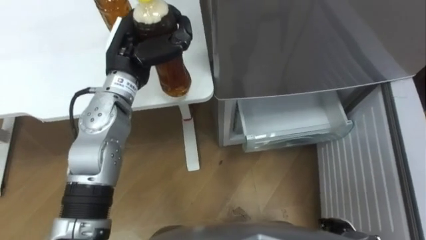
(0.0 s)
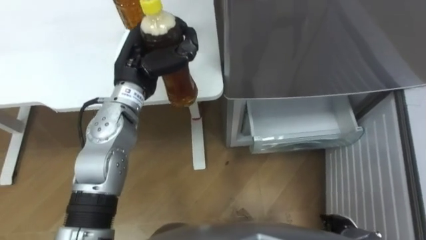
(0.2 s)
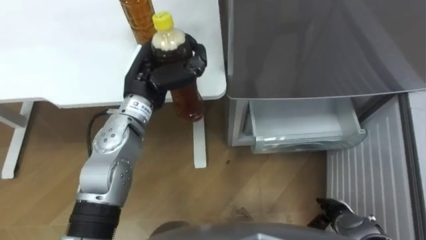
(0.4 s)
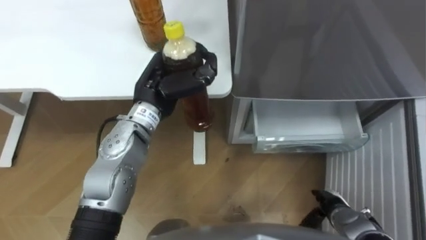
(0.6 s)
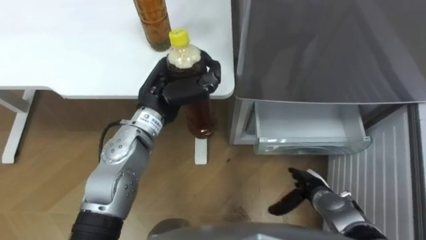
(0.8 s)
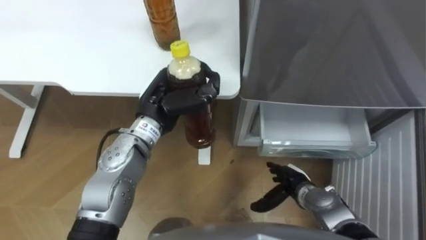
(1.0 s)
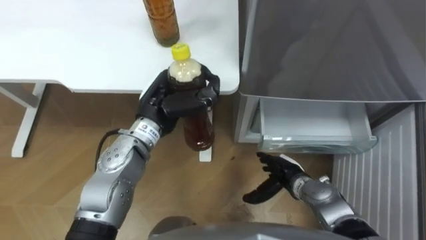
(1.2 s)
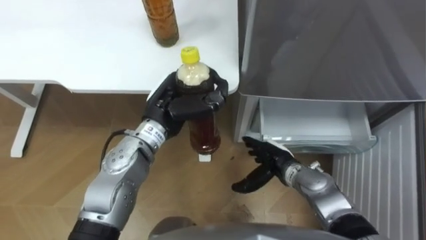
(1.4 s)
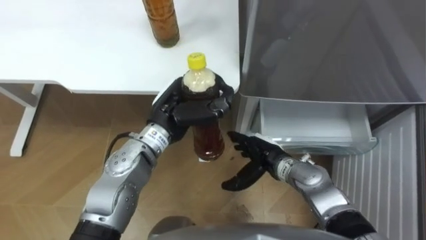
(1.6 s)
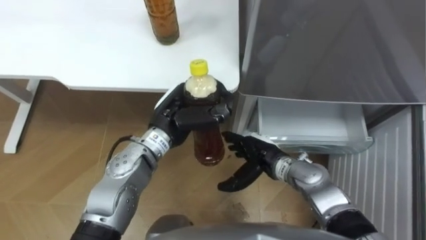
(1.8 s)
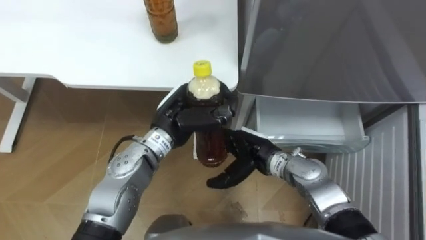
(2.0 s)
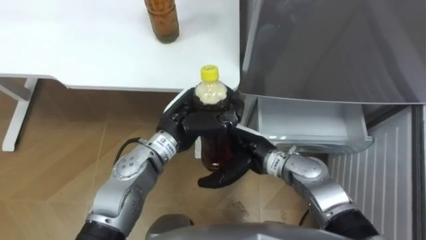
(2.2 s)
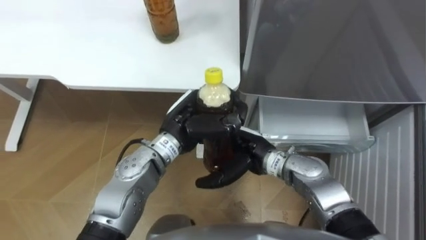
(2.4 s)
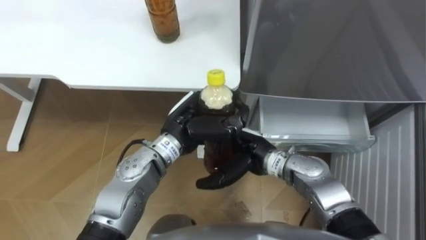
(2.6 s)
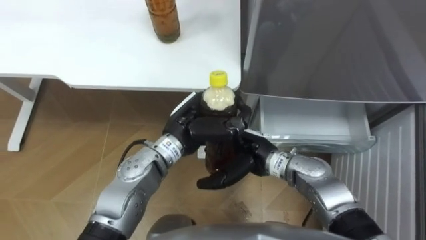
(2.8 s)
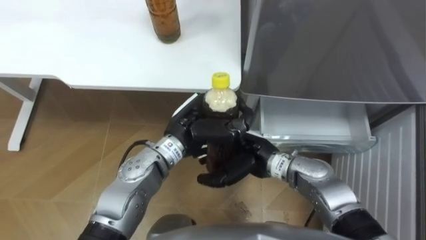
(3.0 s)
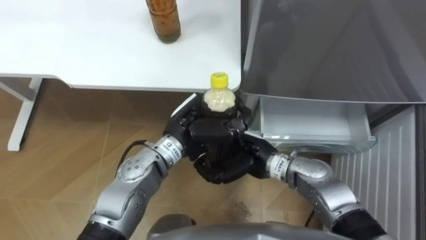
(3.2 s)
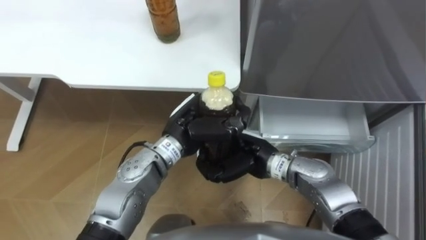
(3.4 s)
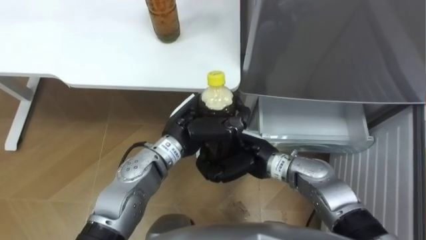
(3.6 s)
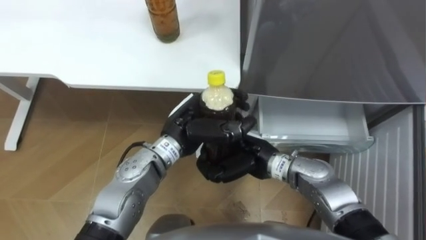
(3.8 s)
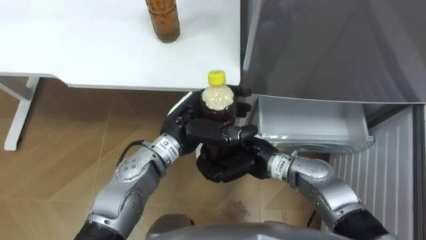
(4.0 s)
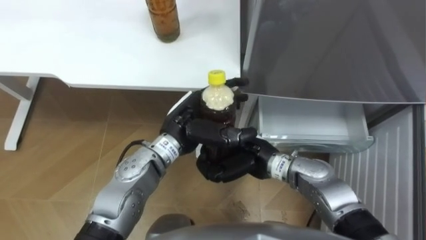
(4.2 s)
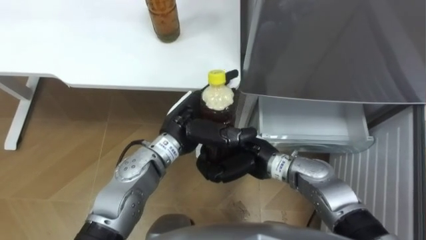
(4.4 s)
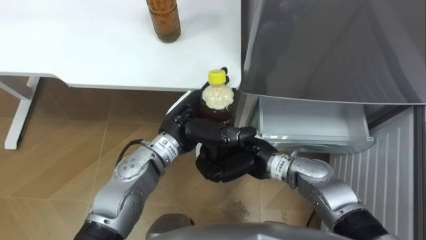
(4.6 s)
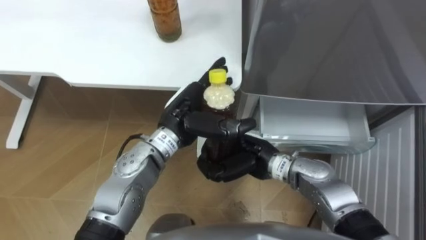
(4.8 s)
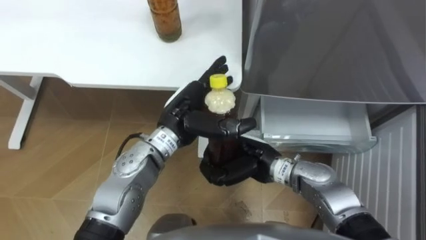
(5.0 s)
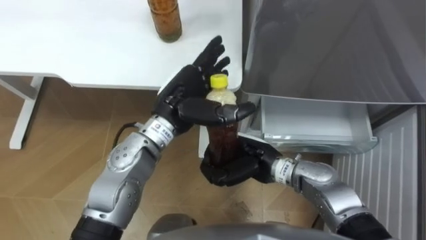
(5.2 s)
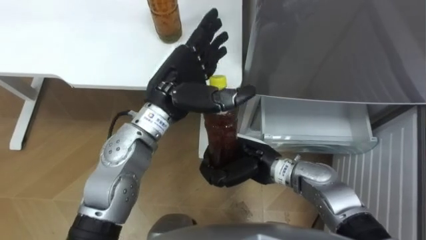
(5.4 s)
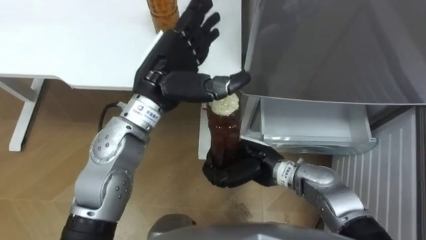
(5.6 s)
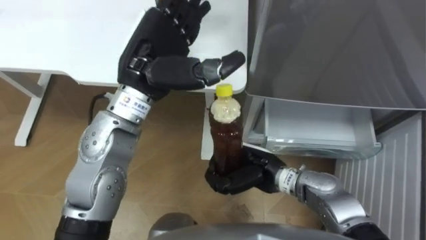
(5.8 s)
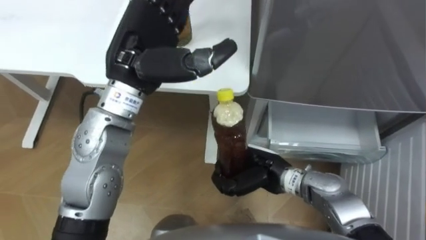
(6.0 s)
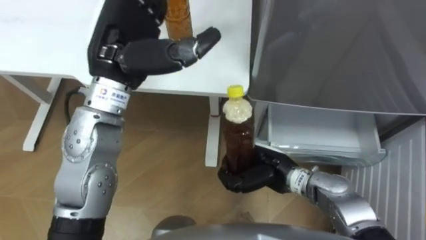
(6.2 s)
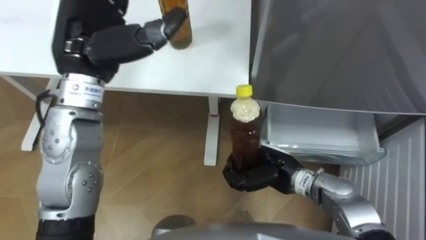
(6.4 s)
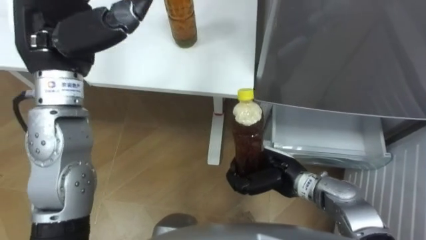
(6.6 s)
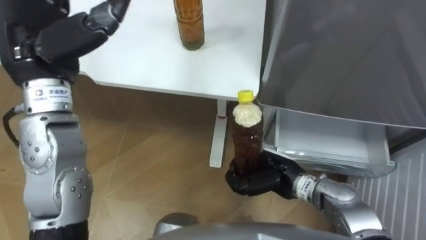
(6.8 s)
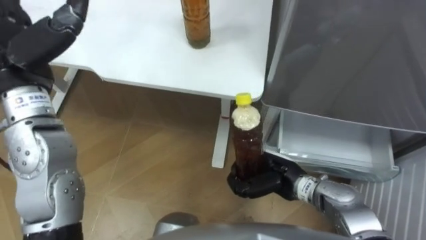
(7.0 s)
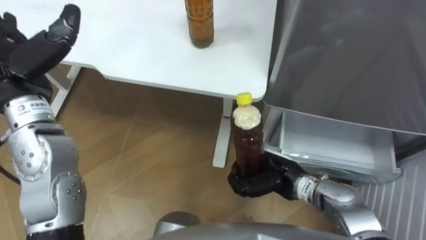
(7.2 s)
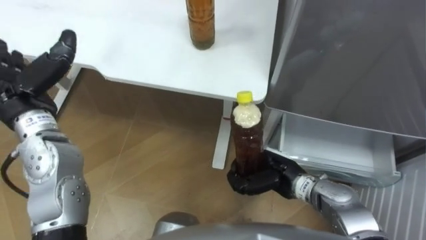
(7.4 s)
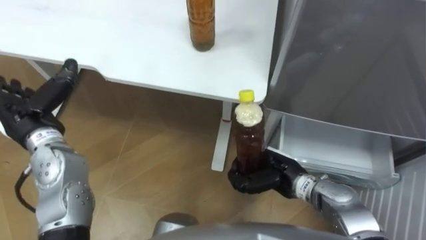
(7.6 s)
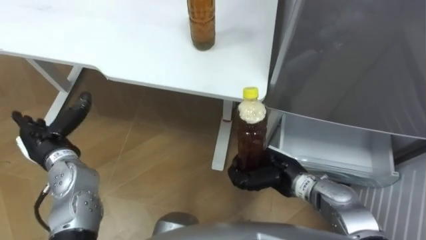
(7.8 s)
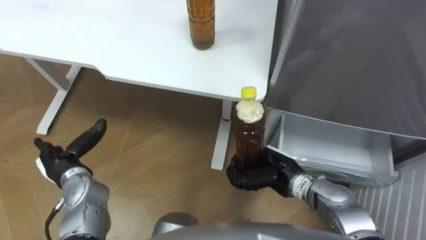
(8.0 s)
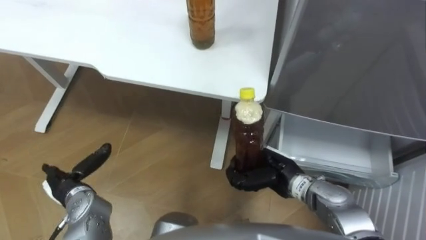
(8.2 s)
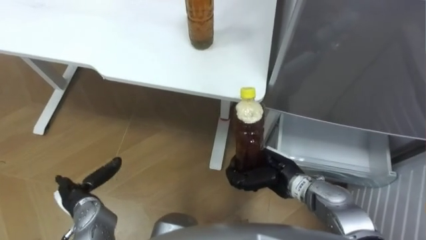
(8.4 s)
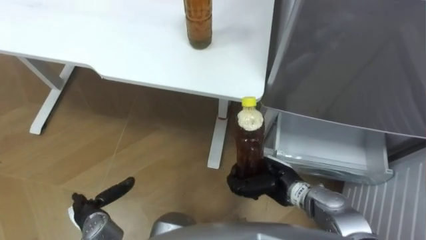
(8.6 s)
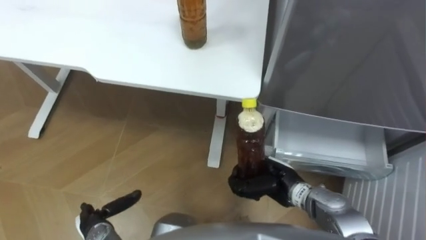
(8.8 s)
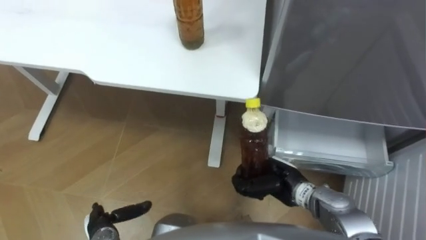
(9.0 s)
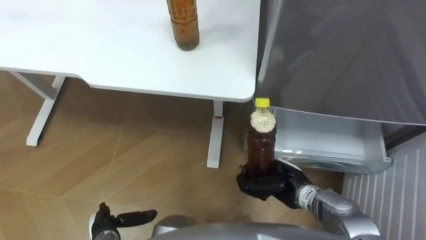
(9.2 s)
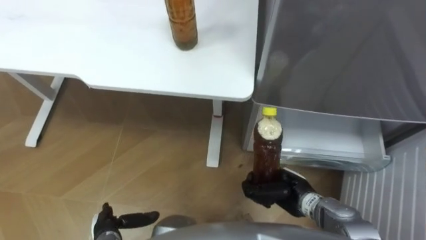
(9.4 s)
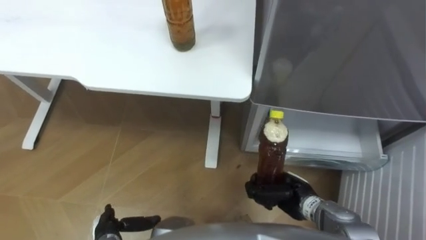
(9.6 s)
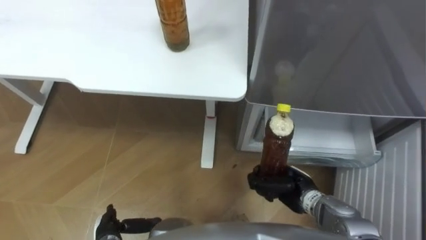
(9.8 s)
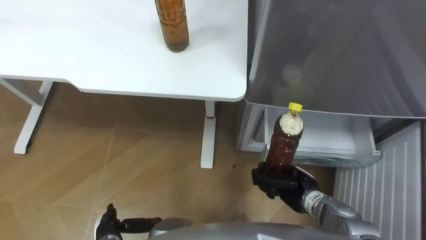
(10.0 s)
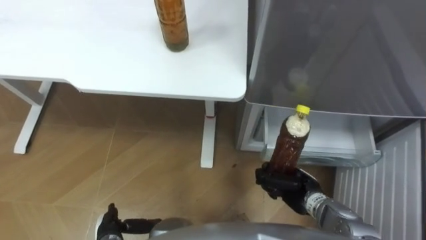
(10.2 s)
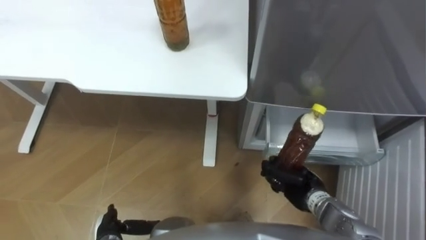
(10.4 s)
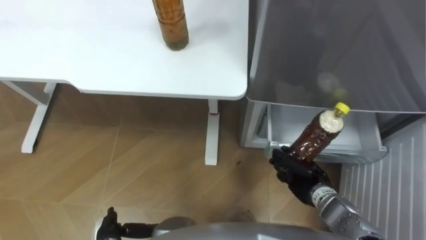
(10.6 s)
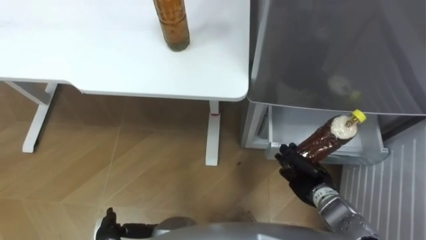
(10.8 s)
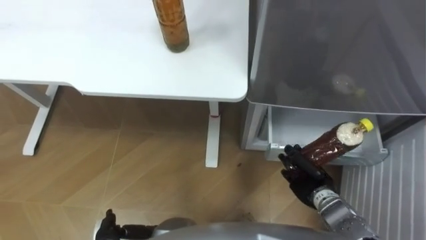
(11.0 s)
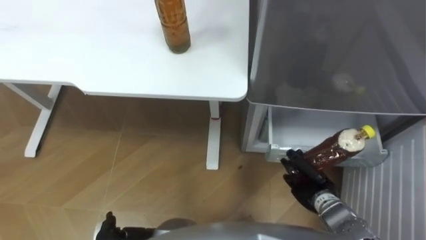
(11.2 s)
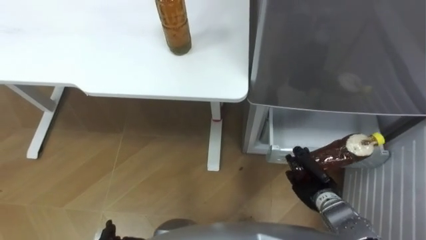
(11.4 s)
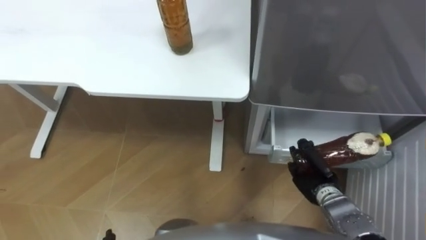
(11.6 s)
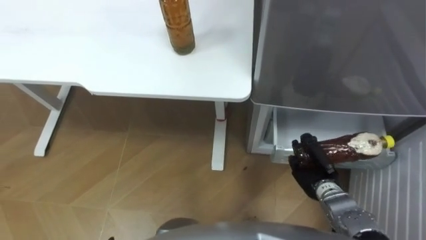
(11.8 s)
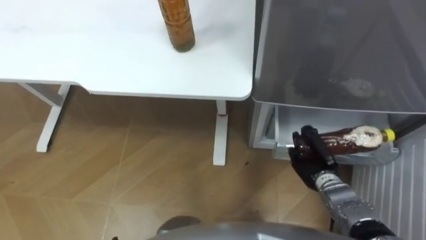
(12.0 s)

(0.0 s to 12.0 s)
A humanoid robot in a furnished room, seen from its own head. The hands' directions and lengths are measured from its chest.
Task of the whole recording: Place the drink on the table on the bottom shelf of the refrigerator, then close the drawer and the refrigerator door.
0.0 s - 1.6 s: The right hand shifts roughly 25 cm forward, to the left and upward; the left hand goes about 10 cm downward, to the right and backward.
1.6 s - 3.0 s: The right hand shifts approximately 10 cm upward and to the left.
3.0 s - 4.4 s: The left hand opens up; the right hand closes its fingers.
4.4 s - 6.0 s: The left hand moves upward, about 15 cm.
7.6 s - 9.0 s: The left hand moves downward and backward, approximately 30 cm.
9.0 s - 10.4 s: The right hand heads to the right, covering some 5 cm.
10.4 s - 12.0 s: The right hand ends up approximately 5 cm from where it was.

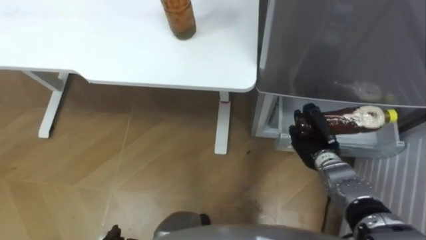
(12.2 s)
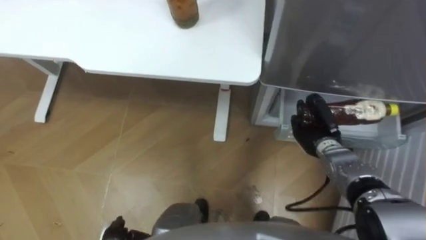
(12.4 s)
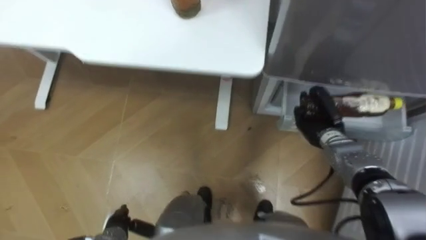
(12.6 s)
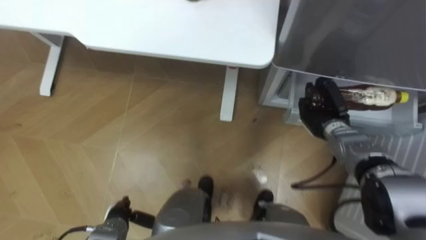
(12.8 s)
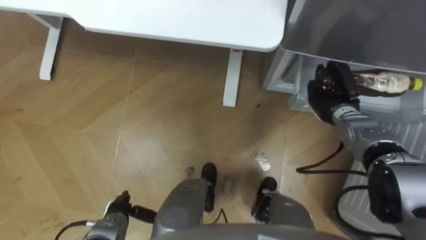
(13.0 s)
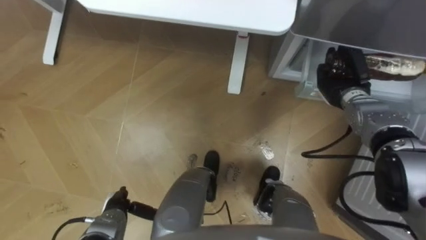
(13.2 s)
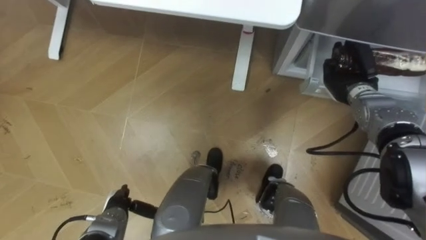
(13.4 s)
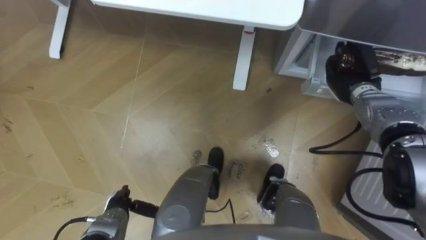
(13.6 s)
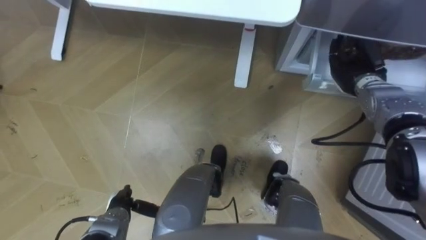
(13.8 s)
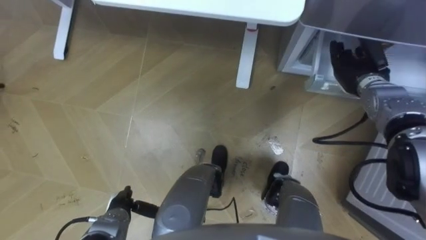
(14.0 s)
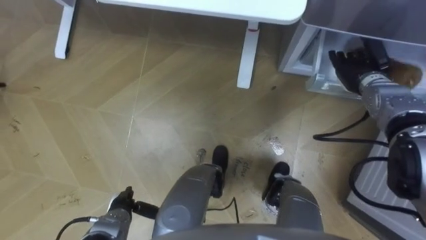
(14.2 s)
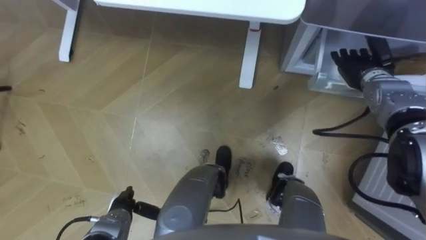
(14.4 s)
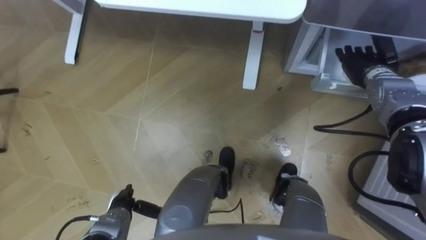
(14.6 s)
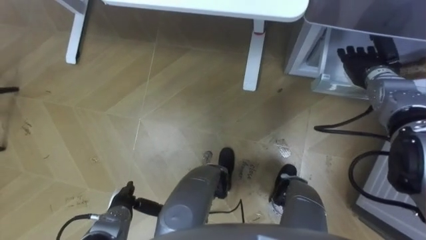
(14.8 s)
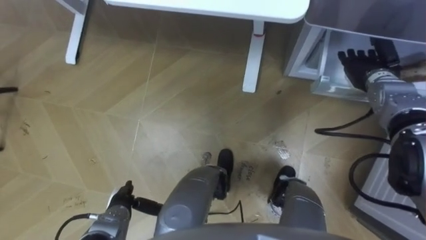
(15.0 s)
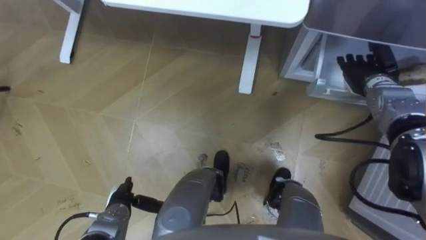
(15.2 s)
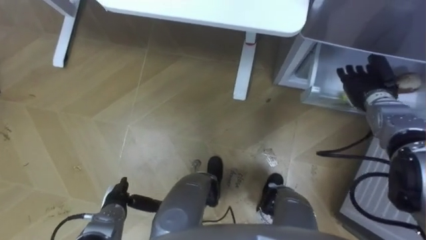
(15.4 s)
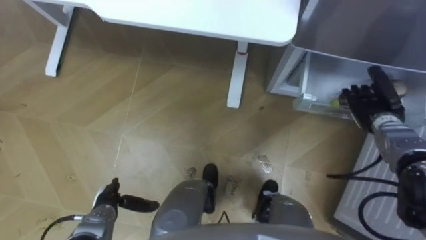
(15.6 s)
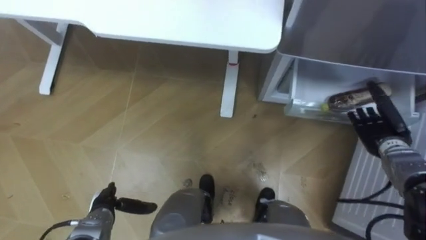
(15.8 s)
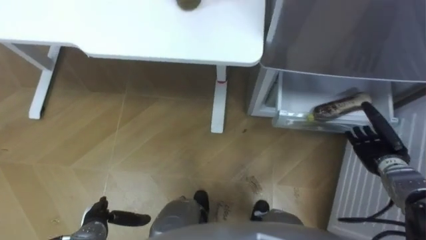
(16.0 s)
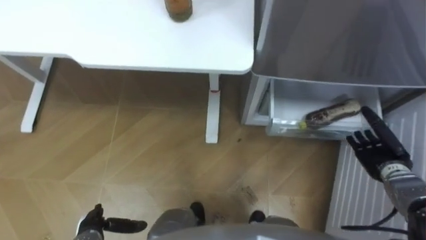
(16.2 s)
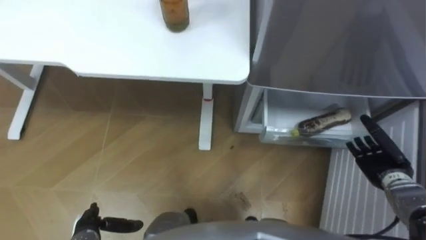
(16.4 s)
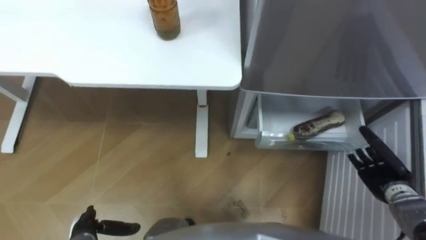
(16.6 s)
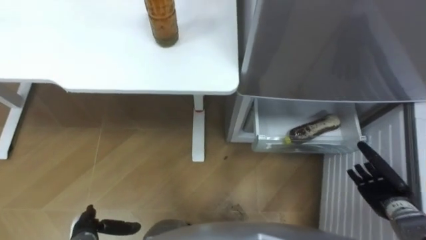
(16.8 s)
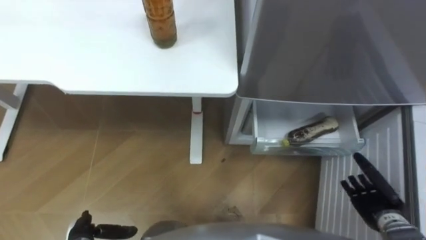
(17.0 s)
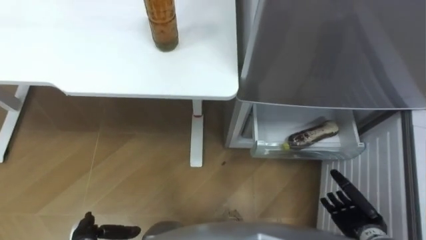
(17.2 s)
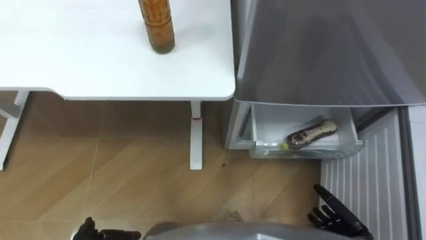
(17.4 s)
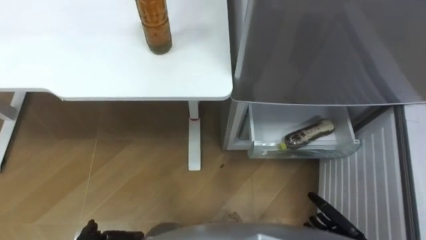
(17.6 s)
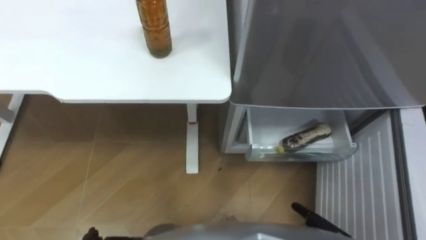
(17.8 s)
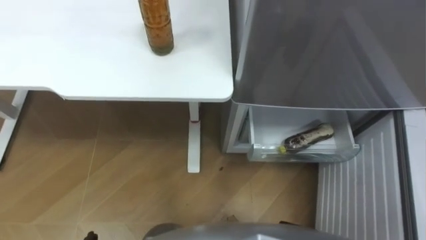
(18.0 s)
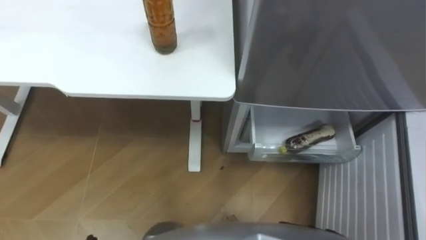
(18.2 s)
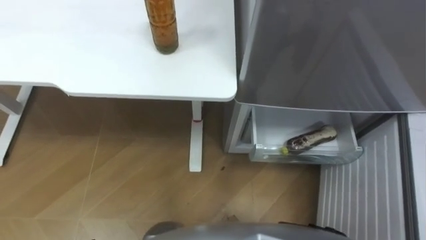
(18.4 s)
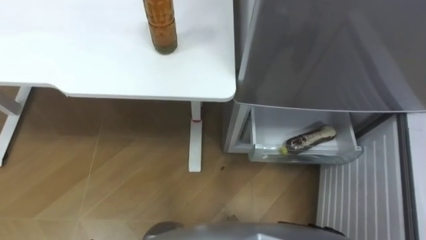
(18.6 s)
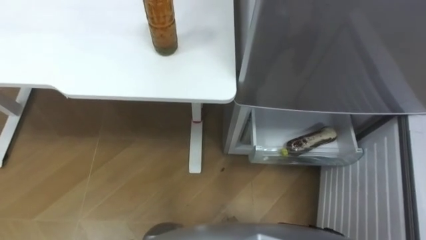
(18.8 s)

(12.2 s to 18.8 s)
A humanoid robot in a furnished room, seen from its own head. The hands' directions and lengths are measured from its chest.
Task of the whole recording: Place the drink on the table on the bottom shelf of the refrigerator, then close the drawer and the refrigerator door.
12.2 s - 13.8 s: The right hand goes about 20 cm forward, upward and to the right, and opens.
13.8 s - 15.4 s: The right hand opens.
15.4 s - 17.2 s: The right hand goes about 30 cm backward and downward, while the left hand moves backward and to the left, some 10 cm.
